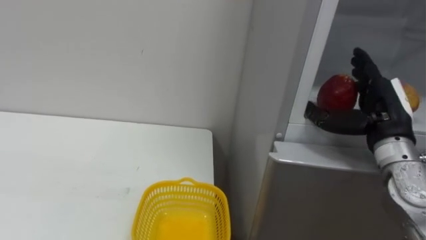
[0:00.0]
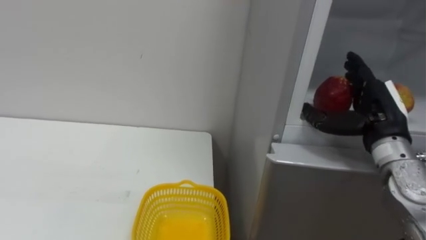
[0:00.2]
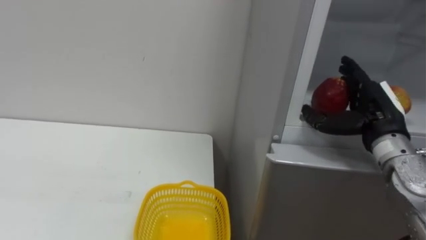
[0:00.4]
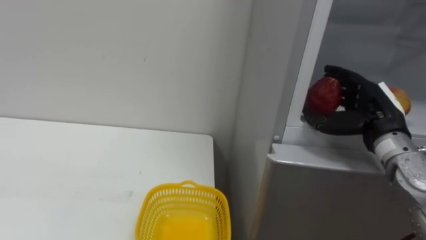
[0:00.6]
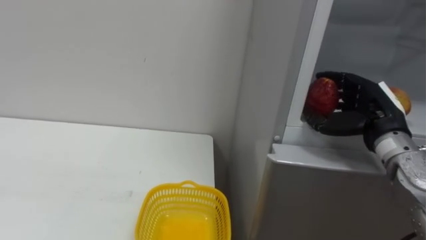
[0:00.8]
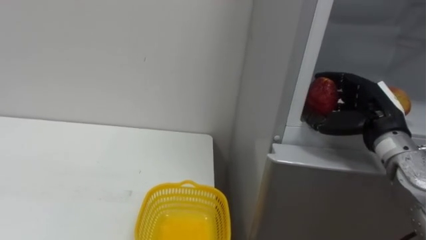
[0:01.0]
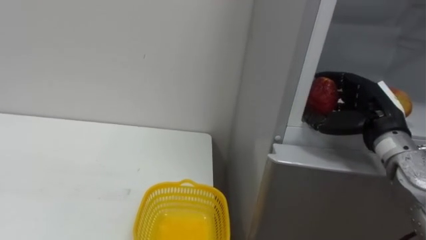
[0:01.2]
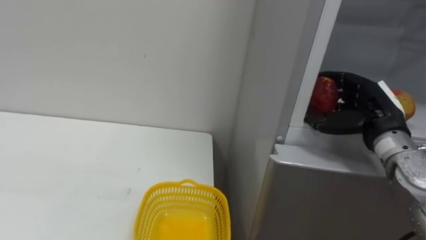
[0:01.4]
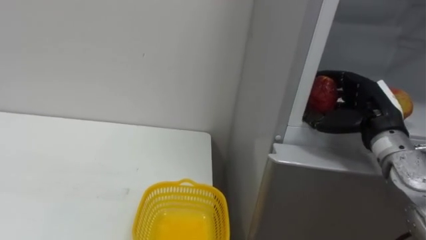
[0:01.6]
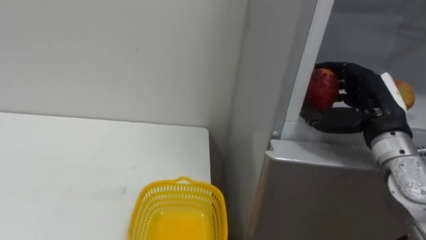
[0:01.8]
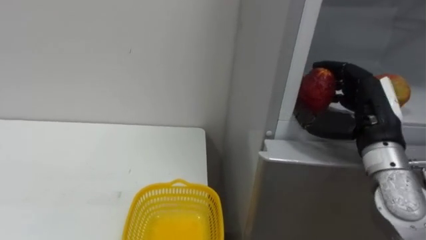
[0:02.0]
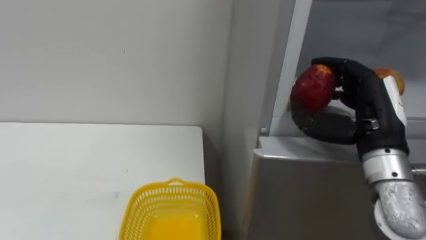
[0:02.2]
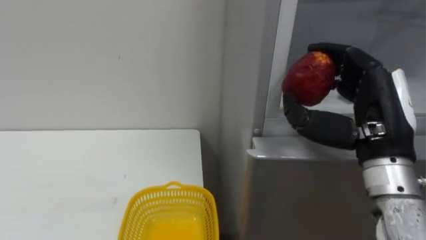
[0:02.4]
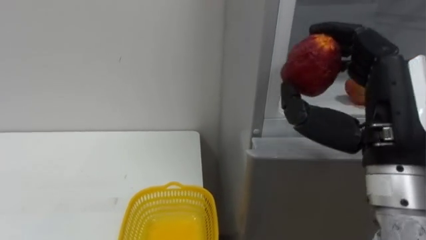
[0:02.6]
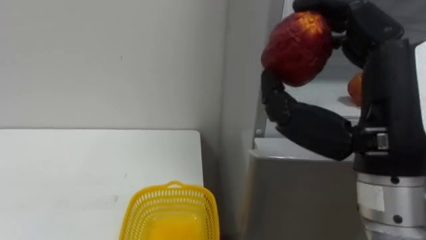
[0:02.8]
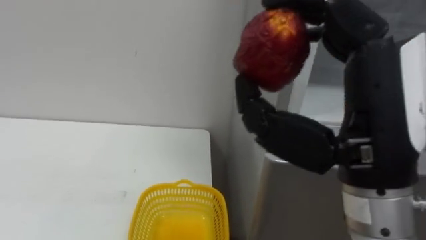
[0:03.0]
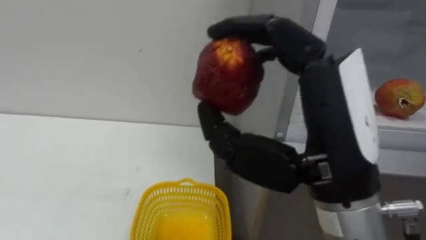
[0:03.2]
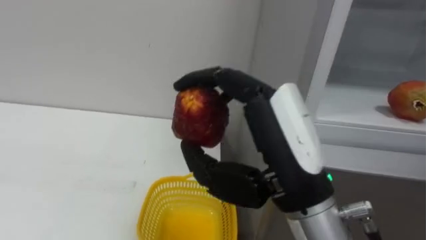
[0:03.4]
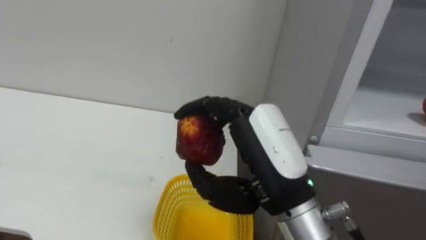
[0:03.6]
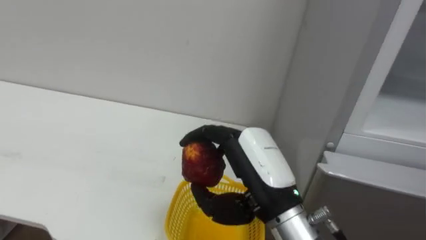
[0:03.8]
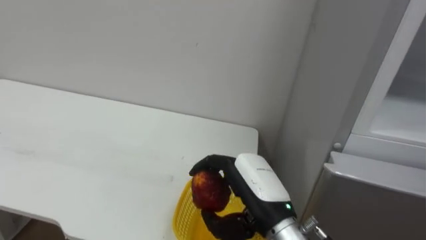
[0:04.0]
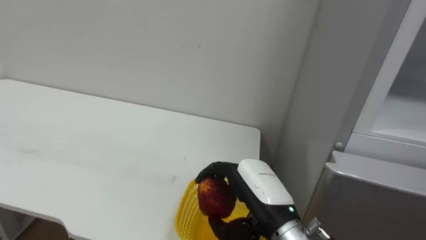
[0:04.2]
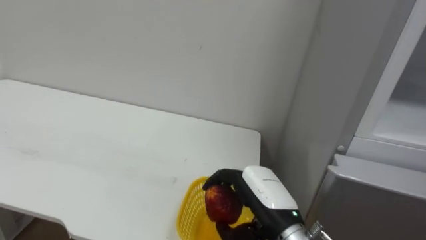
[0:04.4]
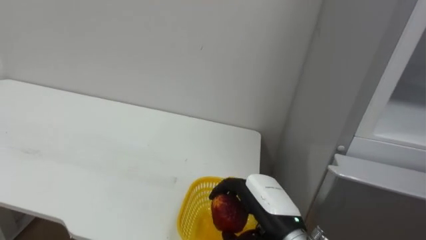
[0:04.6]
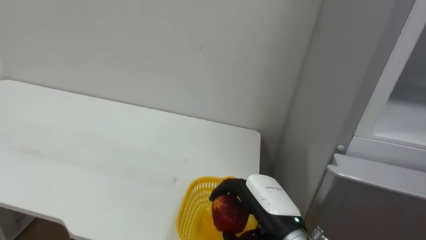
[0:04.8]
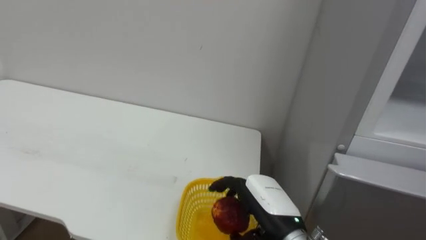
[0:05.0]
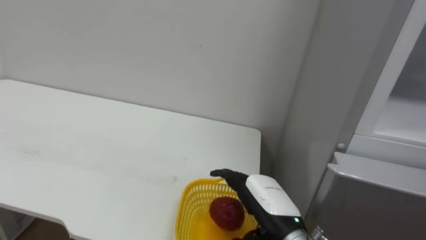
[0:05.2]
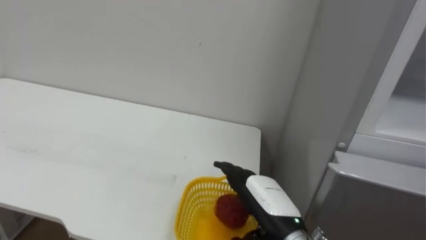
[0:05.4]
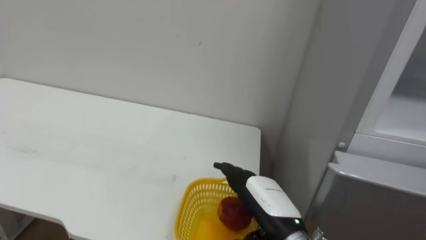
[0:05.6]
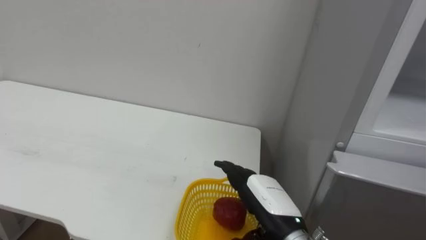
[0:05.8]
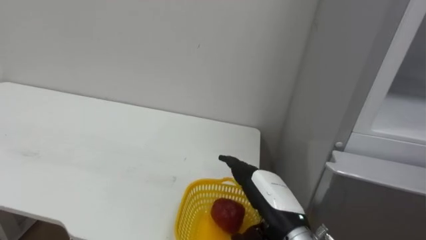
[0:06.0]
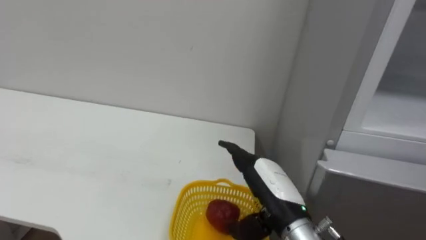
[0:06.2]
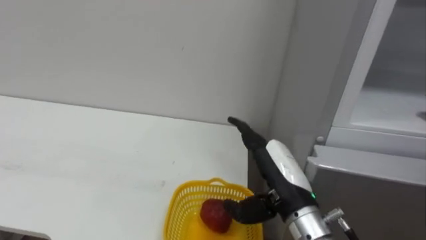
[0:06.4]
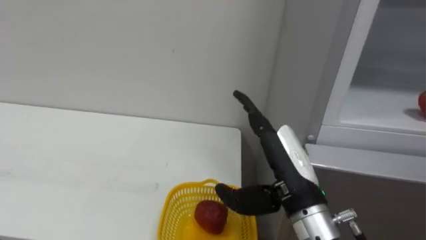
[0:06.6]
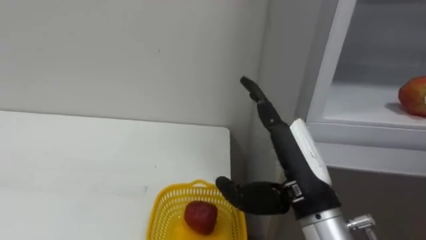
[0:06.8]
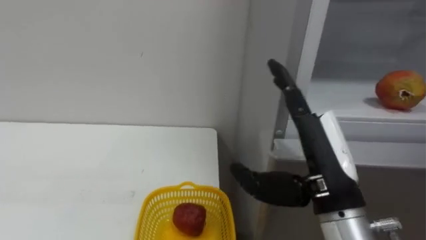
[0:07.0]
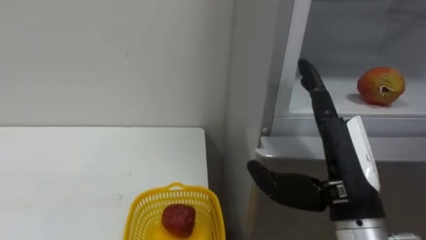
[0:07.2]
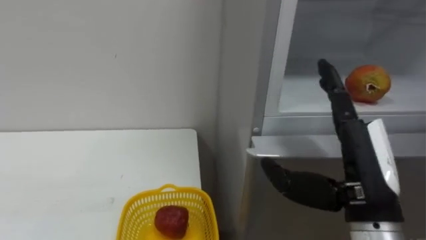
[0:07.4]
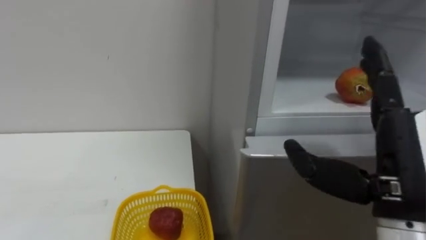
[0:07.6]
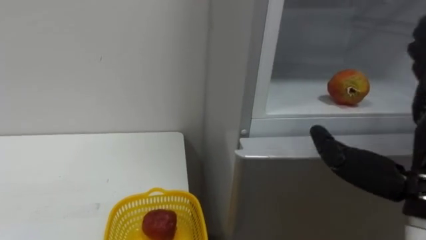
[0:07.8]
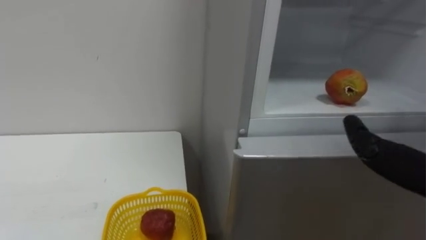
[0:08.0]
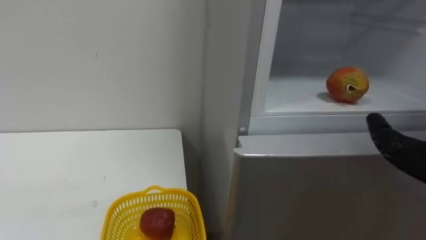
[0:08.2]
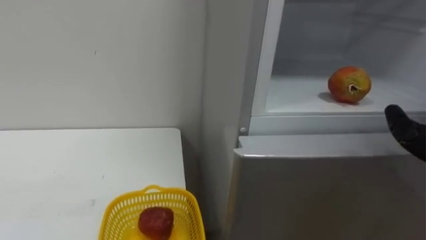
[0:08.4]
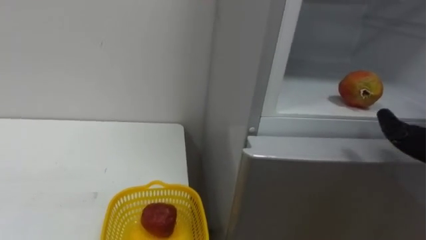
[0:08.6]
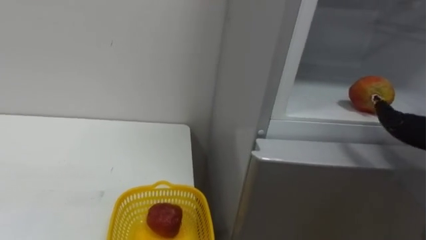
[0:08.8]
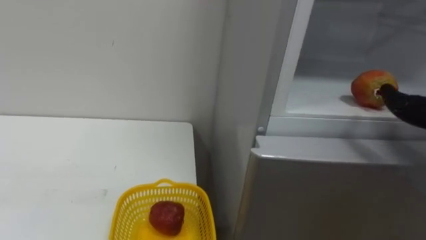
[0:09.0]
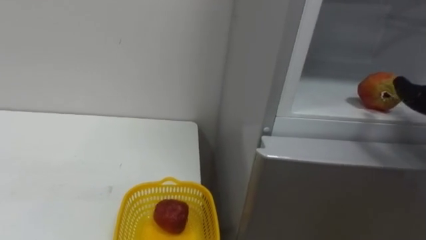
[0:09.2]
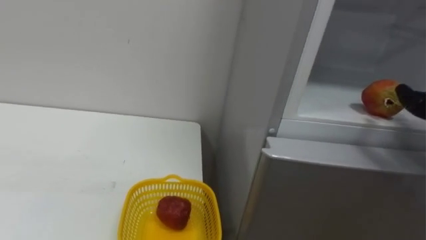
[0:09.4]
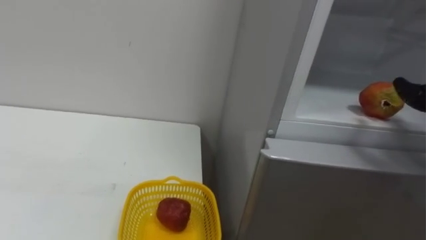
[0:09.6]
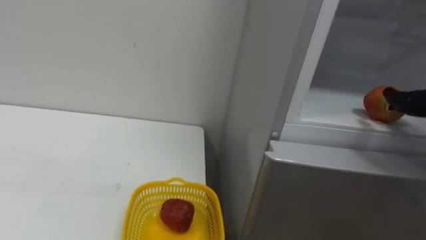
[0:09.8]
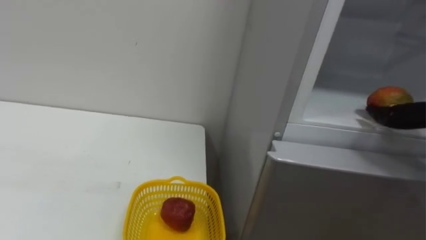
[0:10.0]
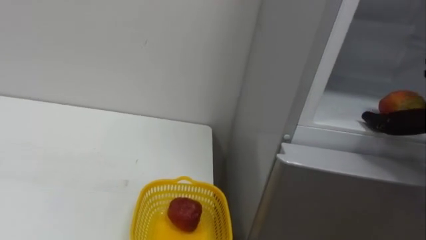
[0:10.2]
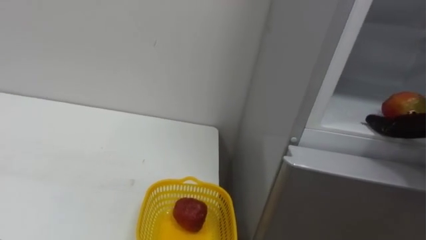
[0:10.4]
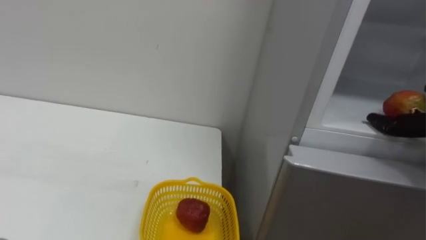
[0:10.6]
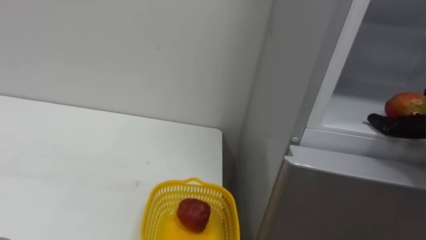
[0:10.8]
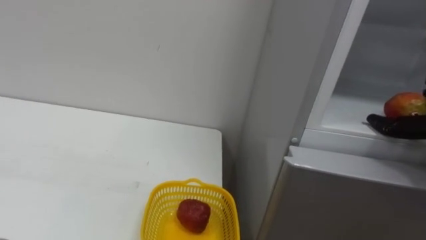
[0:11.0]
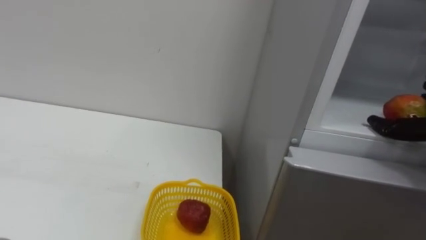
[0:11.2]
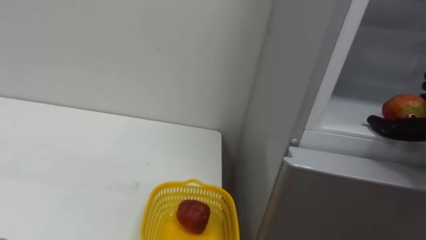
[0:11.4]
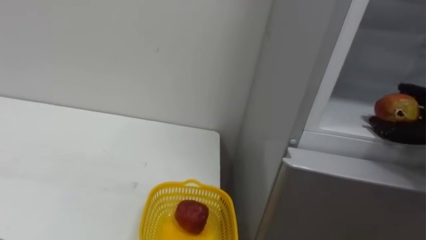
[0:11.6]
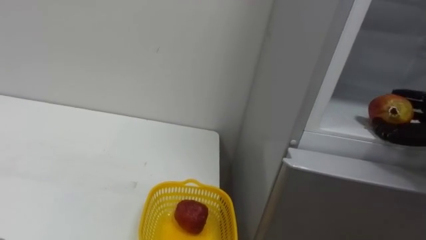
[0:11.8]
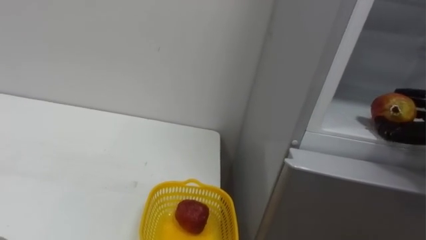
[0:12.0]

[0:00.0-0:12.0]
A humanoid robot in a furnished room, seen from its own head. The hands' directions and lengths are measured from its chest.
Task of the whole recording: Open the refrigerator door, take out the apple and the pomegranate, place them in the fruit basket on the left, and close the refrigerator door.
0:00.0 to 0:01.6: The right hand closes its fingers.
0:01.6 to 0:03.0: The right hand travels backward, to the left and upward by some 25 cm.
0:03.0 to 0:04.4: The right hand is displaced downward and forward by roughly 25 cm.
0:04.4 to 0:06.0: The right hand opens up.
0:06.0 to 0:07.6: The right hand heads upward, to the right and backward, covering some 20 cm.

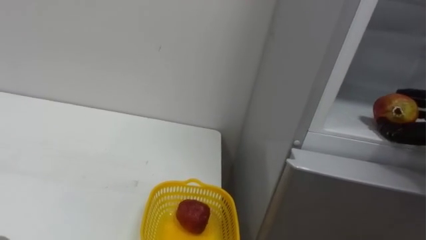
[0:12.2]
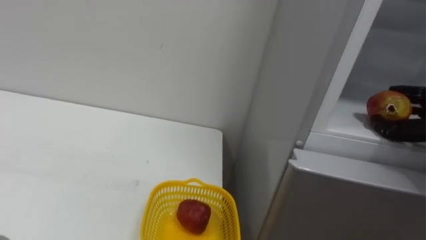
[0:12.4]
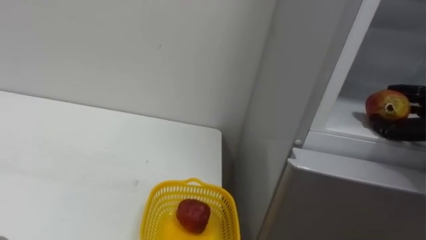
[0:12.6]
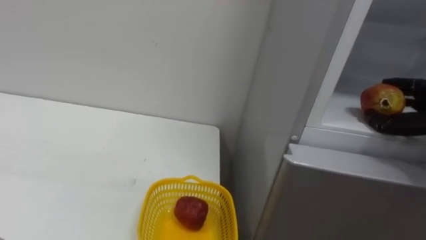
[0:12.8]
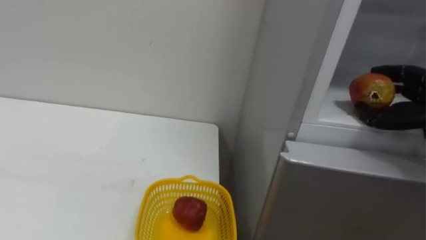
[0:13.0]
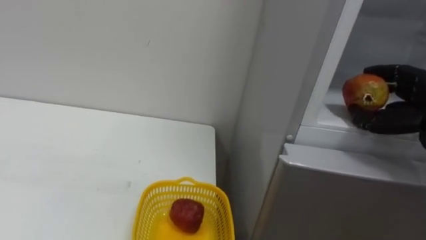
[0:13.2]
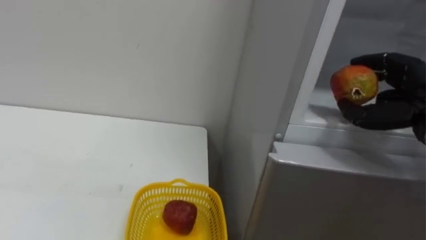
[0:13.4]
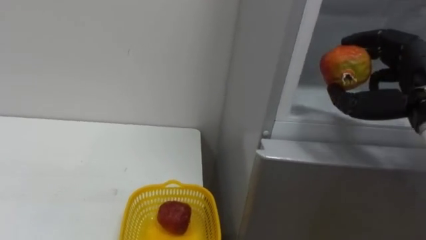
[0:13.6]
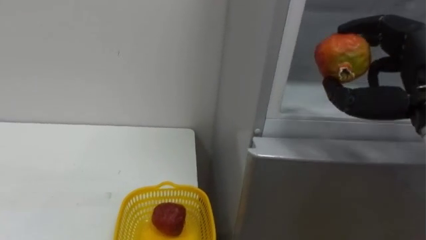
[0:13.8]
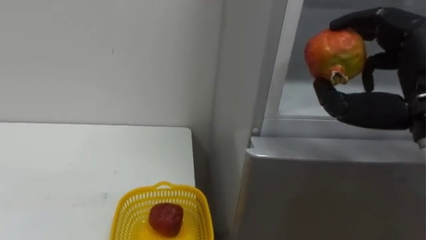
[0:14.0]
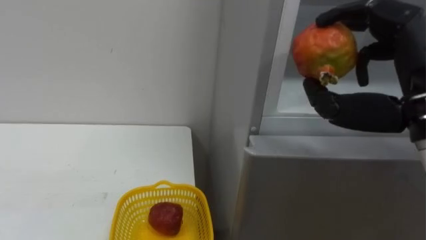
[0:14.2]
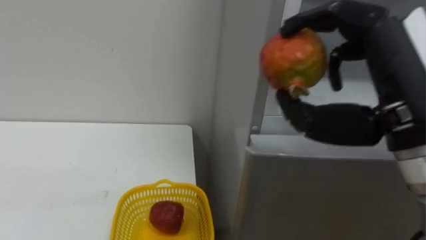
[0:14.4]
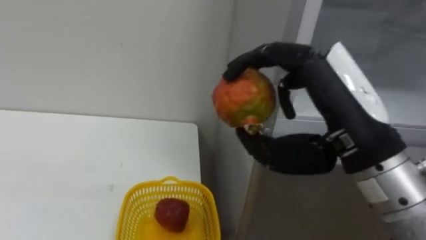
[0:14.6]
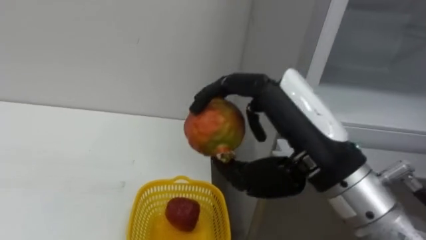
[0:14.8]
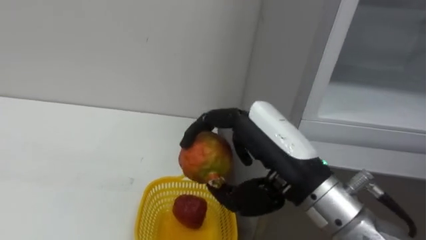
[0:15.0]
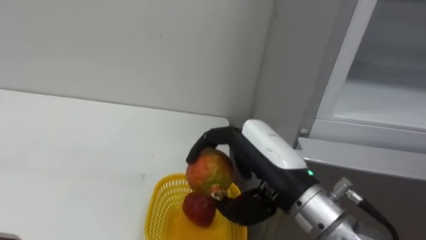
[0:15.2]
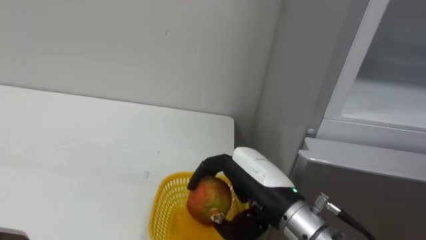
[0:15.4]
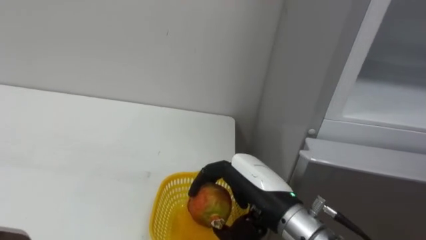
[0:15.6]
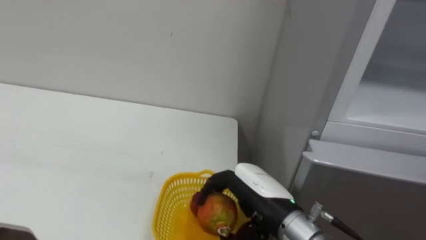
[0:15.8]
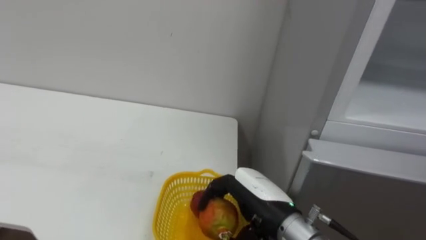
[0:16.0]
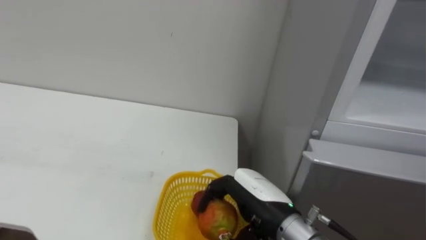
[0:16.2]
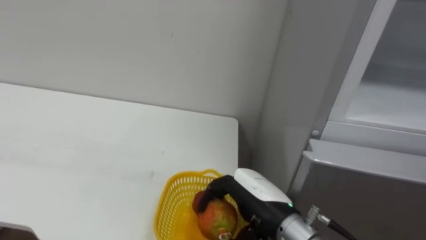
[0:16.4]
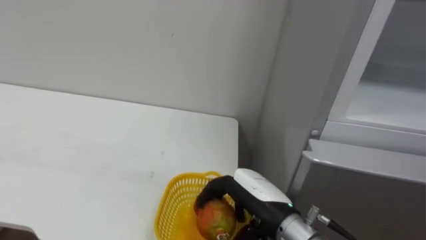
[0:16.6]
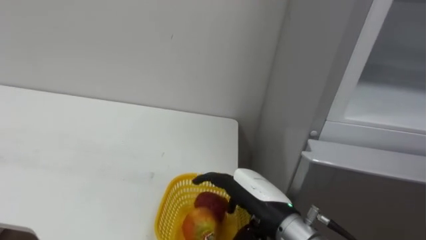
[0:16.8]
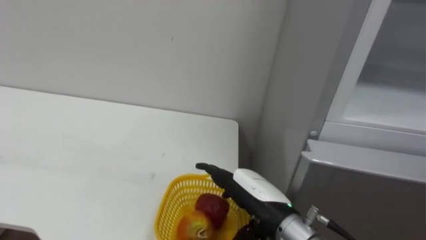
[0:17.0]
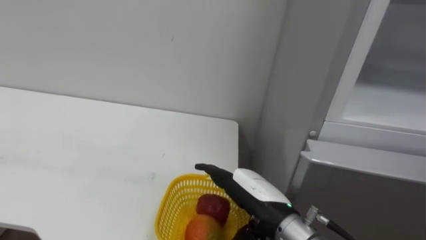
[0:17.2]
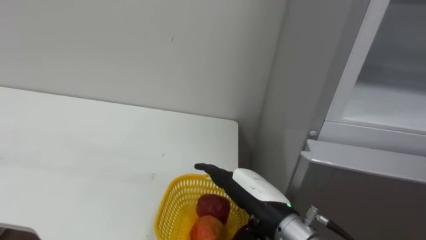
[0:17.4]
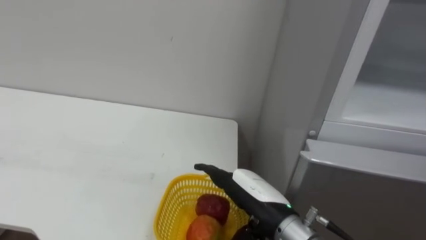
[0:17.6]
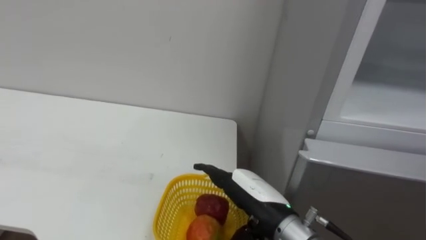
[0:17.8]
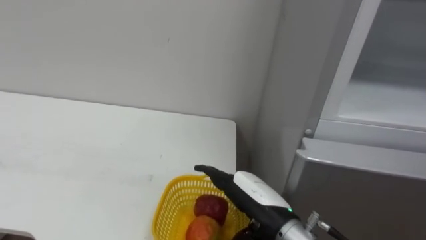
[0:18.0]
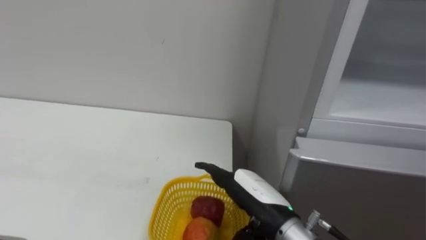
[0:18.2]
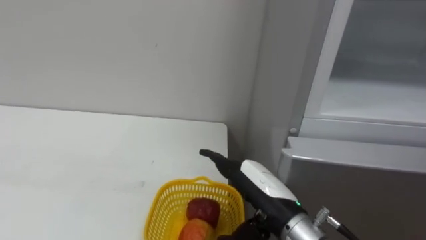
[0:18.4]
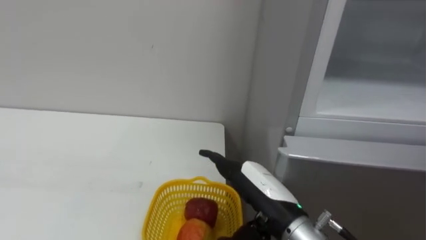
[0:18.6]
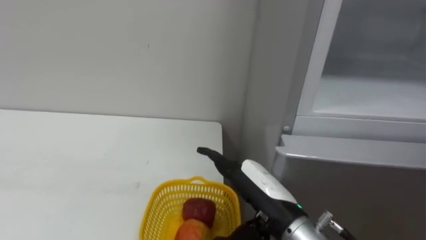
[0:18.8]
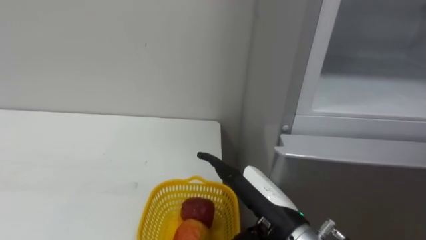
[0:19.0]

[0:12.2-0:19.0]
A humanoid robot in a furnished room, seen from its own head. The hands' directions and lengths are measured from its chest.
Task of the whole recording: Open the refrigerator door, take out the apple and the pomegranate, place them in the fruit basket on the left, and close the refrigerator door.
0:13.6 to 0:15.0: The right hand moves to the left and backward, about 20 cm.
0:15.0 to 0:16.2: The right hand travels downward by approximately 15 cm.
0:16.2 to 0:17.6: The right hand opens its fingers.